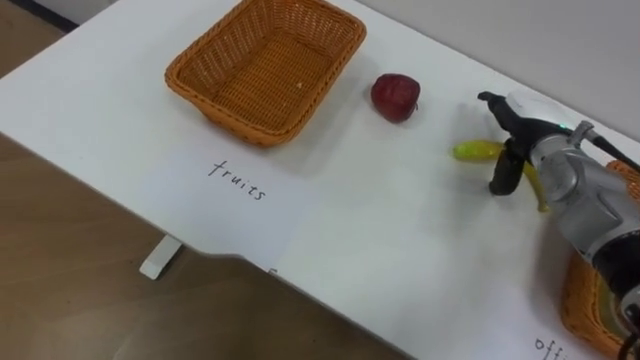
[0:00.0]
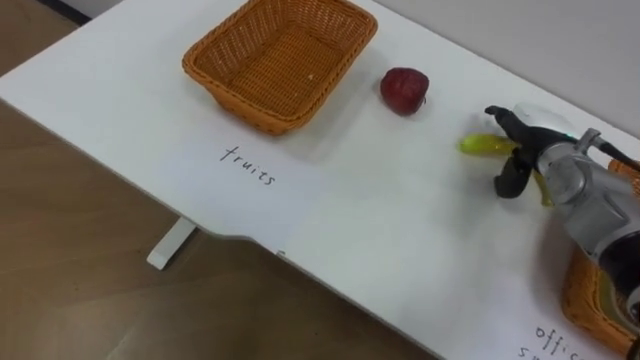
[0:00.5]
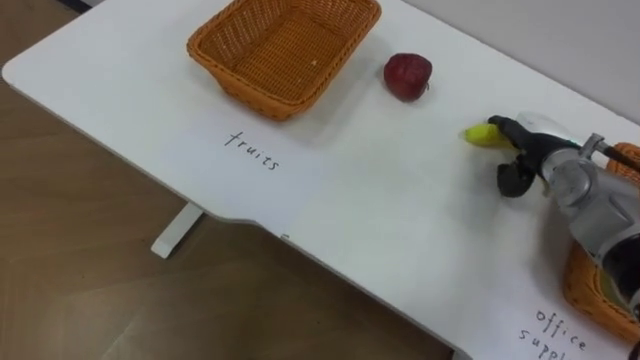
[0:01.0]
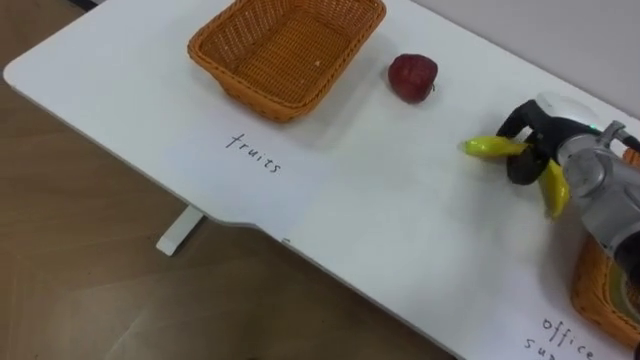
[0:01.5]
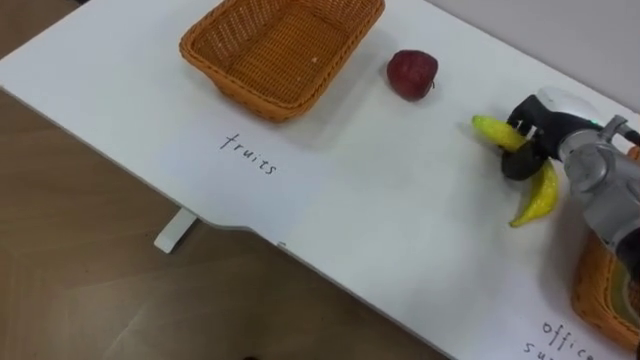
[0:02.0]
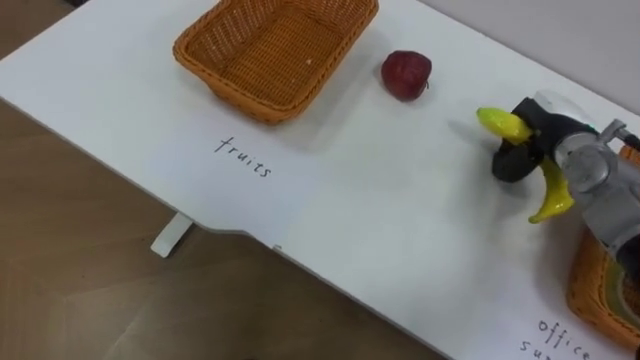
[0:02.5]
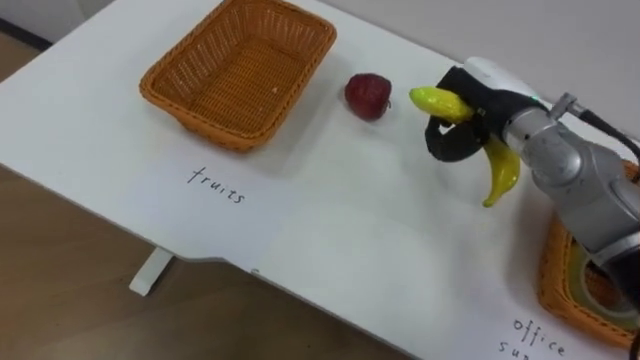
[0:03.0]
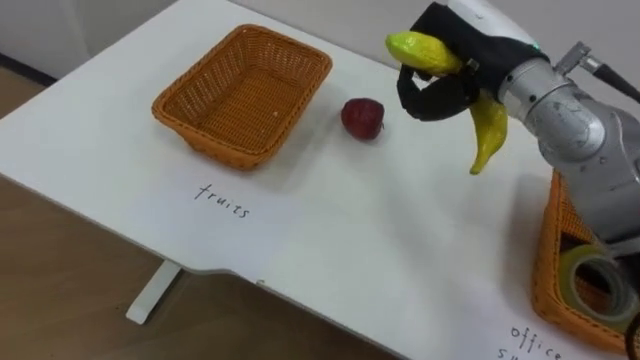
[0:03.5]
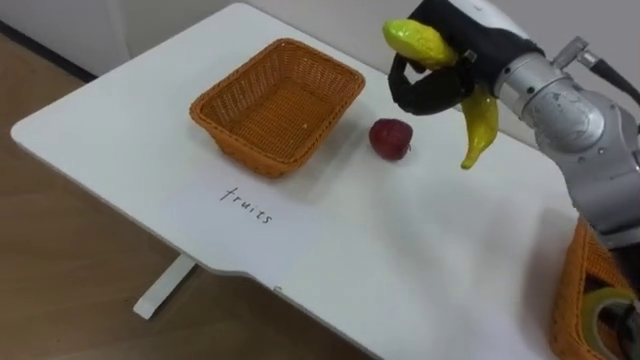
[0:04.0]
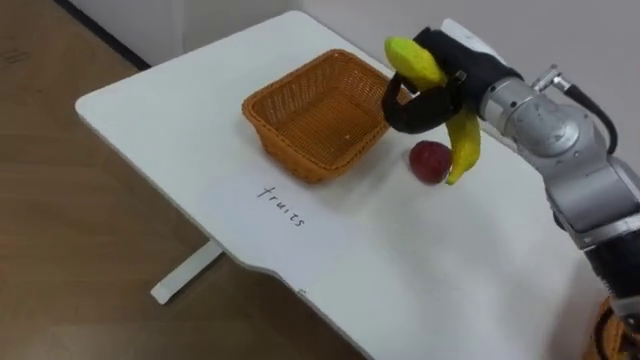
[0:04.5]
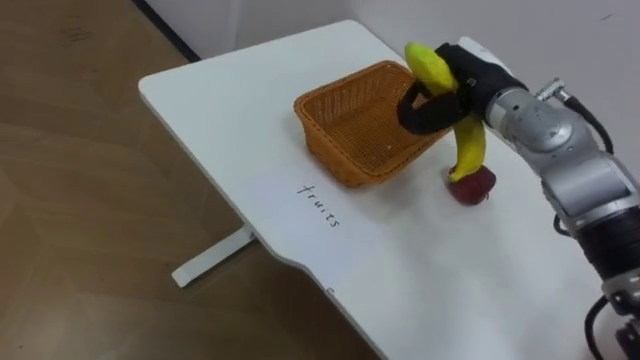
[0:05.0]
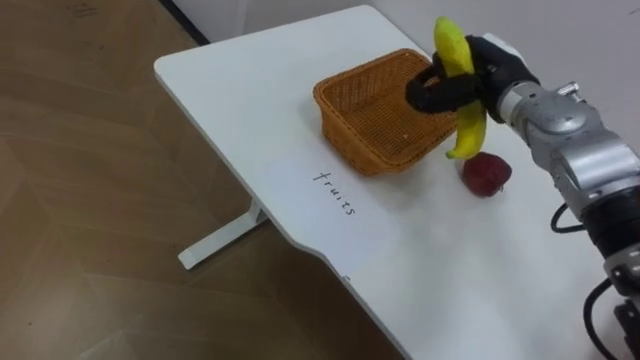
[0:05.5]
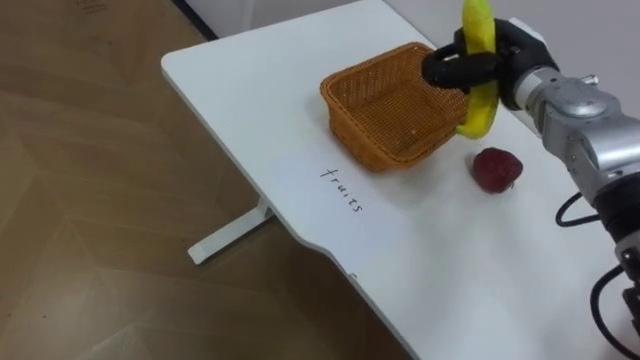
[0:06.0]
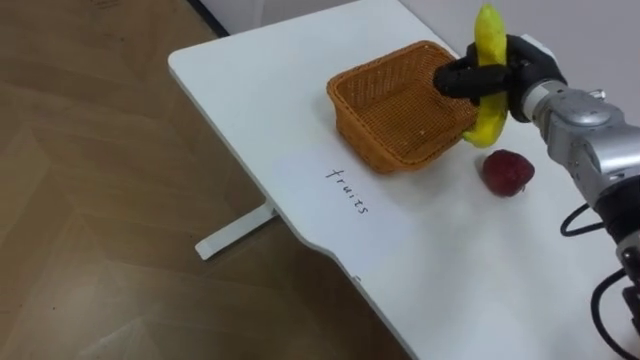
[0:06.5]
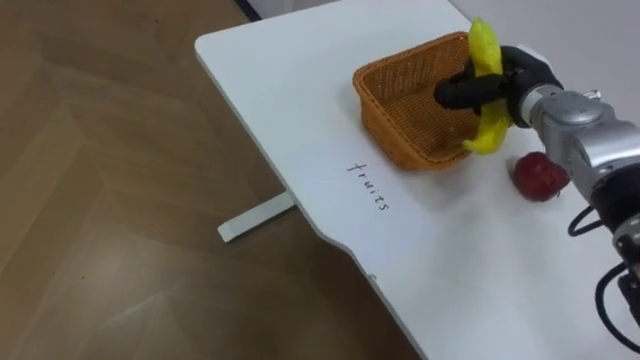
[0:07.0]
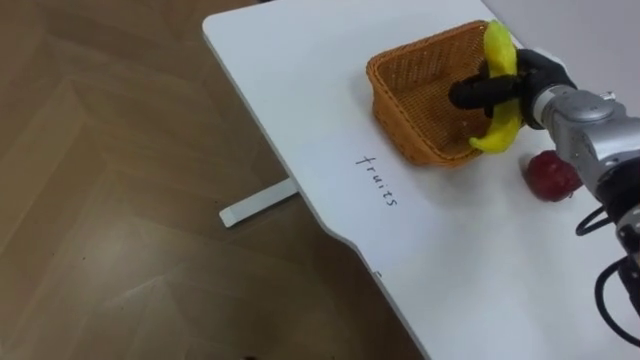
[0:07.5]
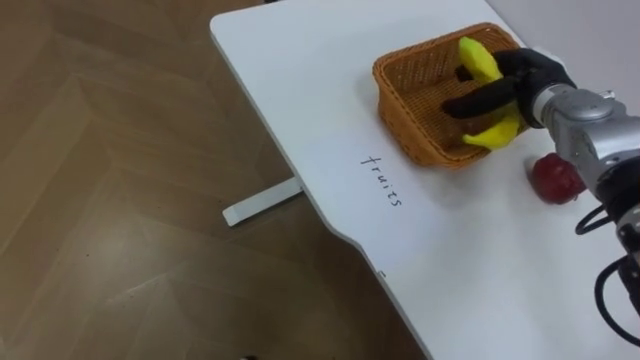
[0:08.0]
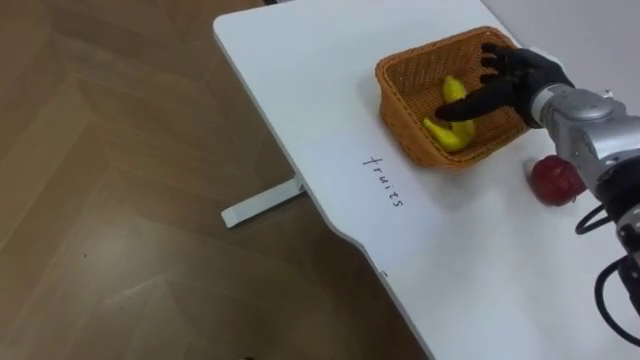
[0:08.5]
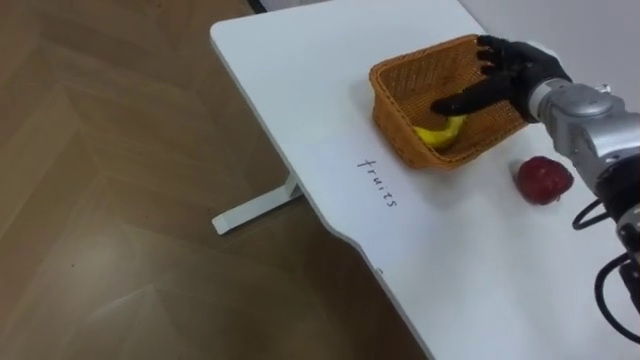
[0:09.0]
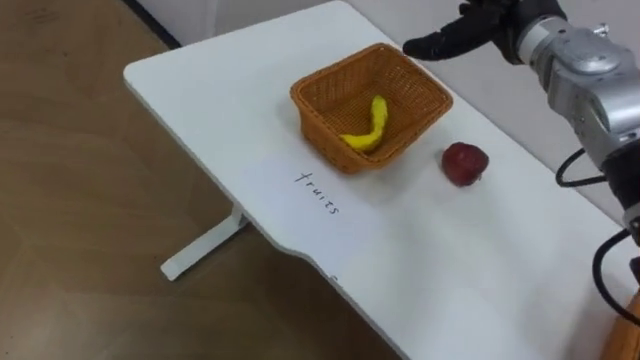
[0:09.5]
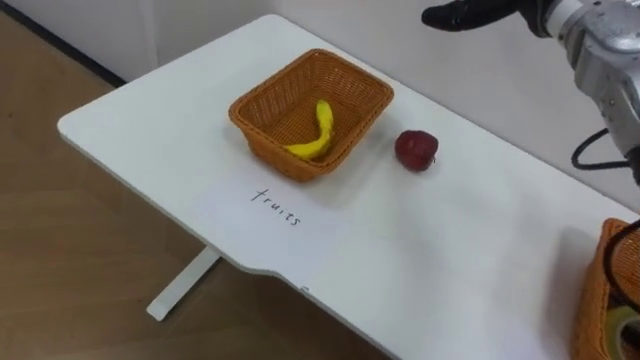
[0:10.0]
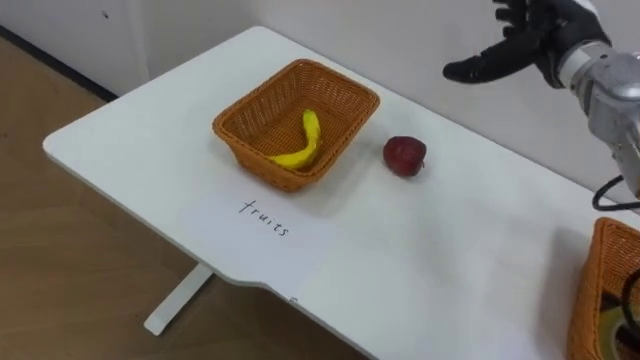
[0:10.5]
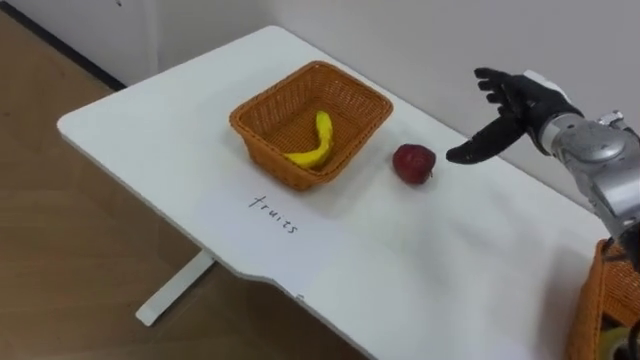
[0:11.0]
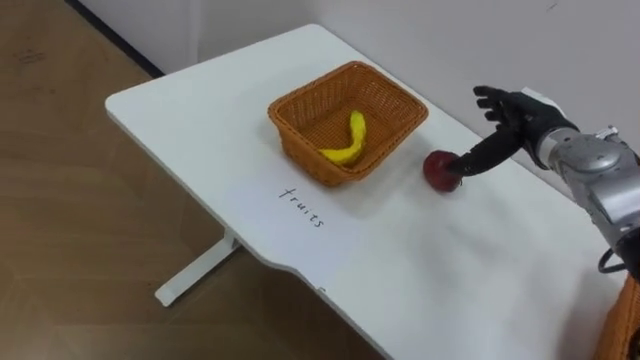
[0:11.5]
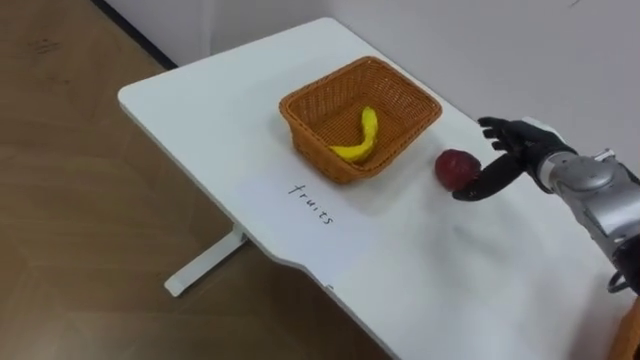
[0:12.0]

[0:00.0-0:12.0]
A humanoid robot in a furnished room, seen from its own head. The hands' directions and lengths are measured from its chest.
Task of the whole recording: Separate the items on the table and place them into the two baskets.
0:00.0 to 0:02.0: The right hand closes.
0:02.0 to 0:04.0: The right hand shifts approximately 20 cm to the left and upward.
0:04.0 to 0:06.0: The right hand moves downward, to the right and forward, approximately 10 cm.
0:06.0 to 0:08.0: The right hand changes place by about 5 cm, and opens its fingers.

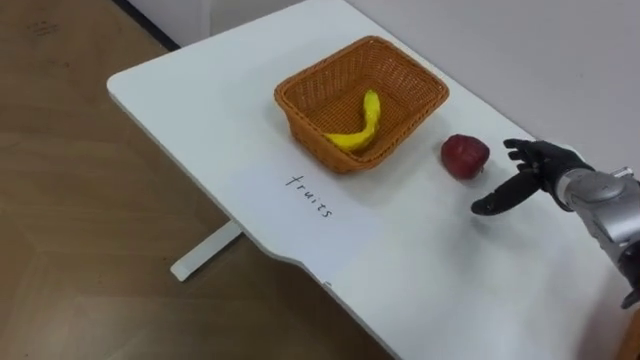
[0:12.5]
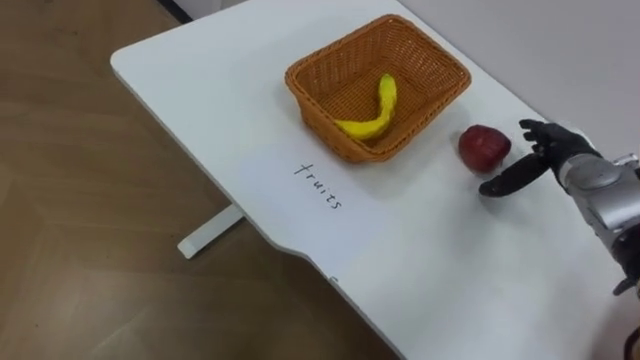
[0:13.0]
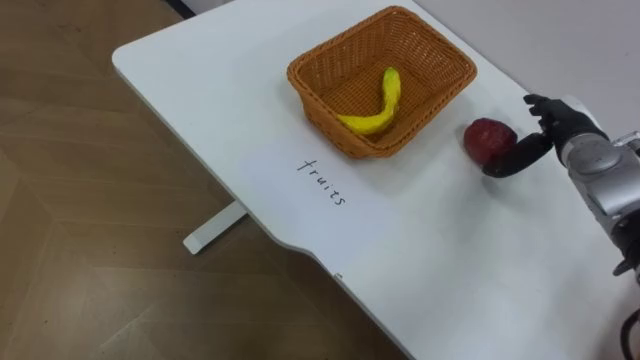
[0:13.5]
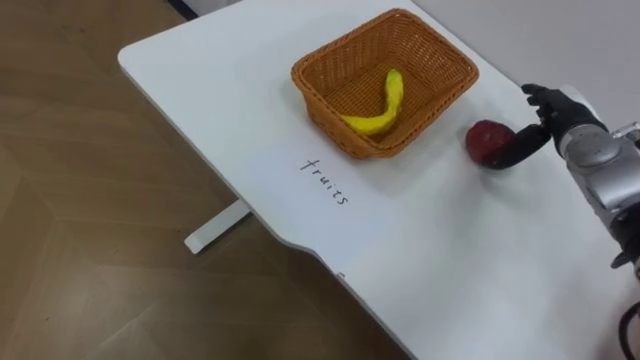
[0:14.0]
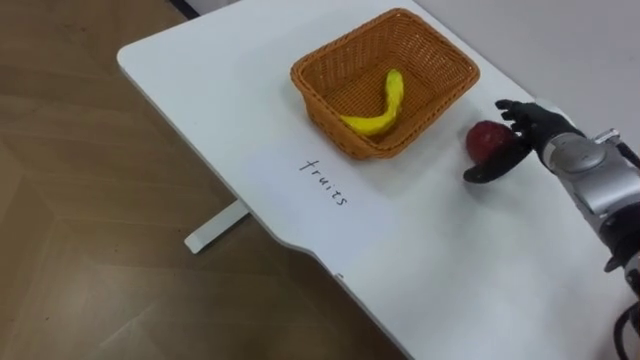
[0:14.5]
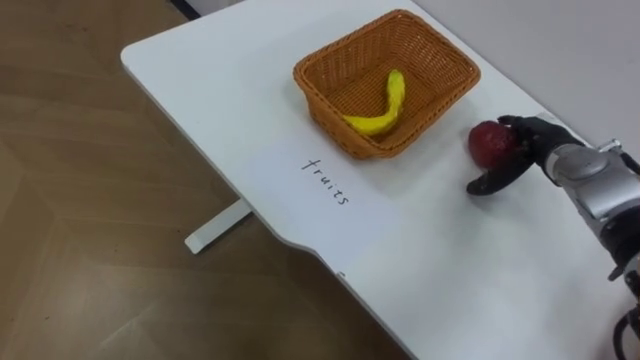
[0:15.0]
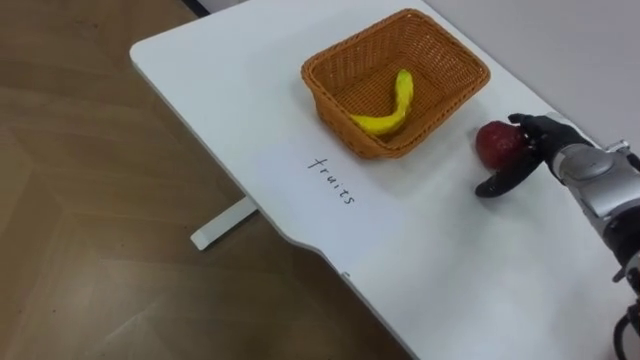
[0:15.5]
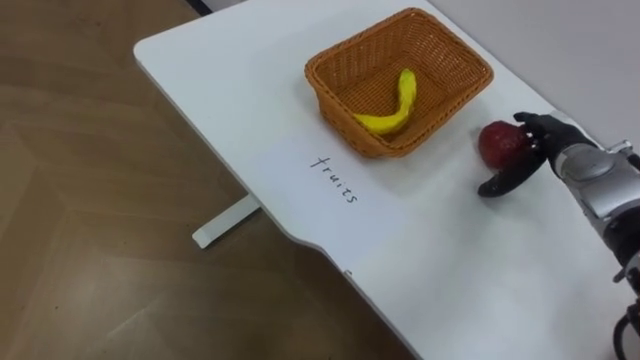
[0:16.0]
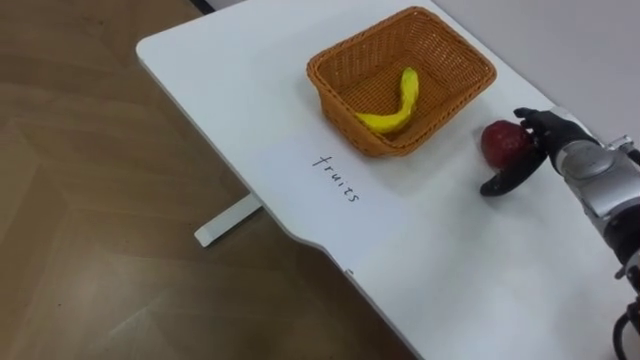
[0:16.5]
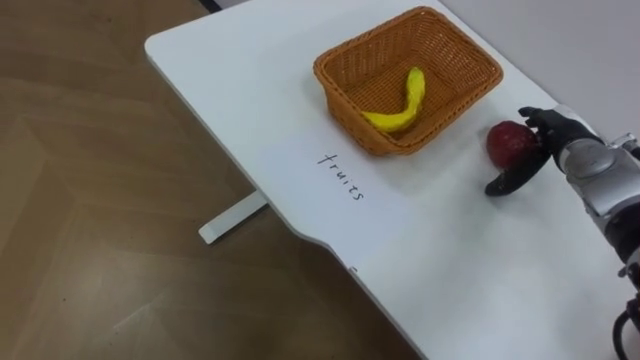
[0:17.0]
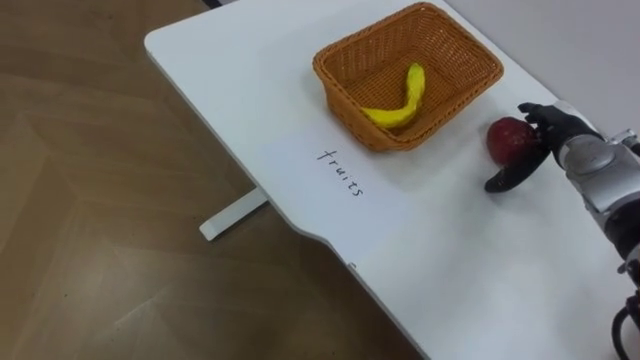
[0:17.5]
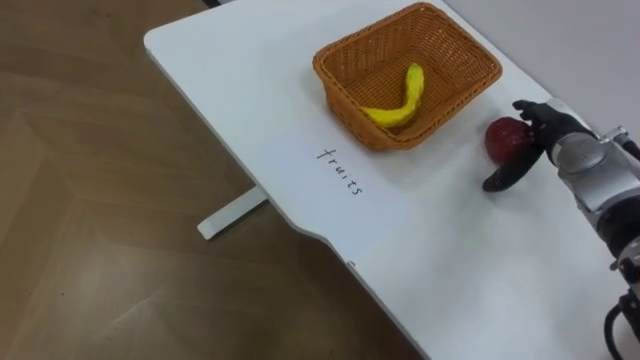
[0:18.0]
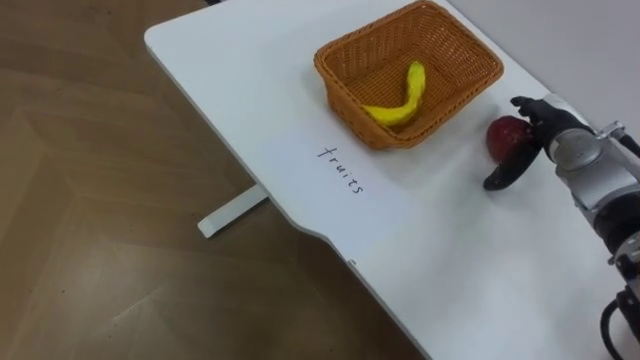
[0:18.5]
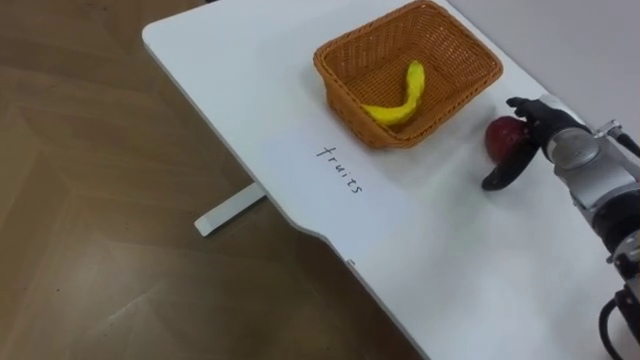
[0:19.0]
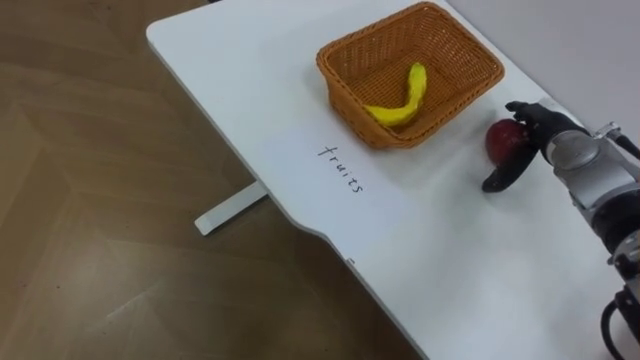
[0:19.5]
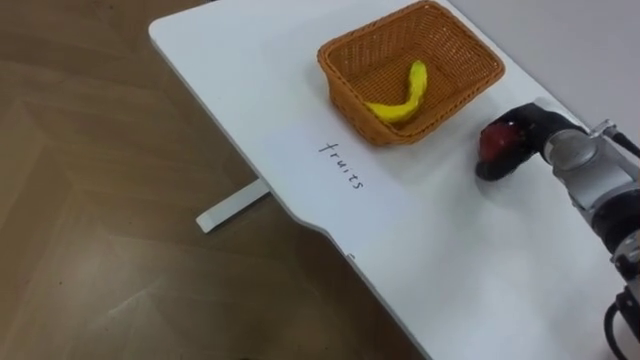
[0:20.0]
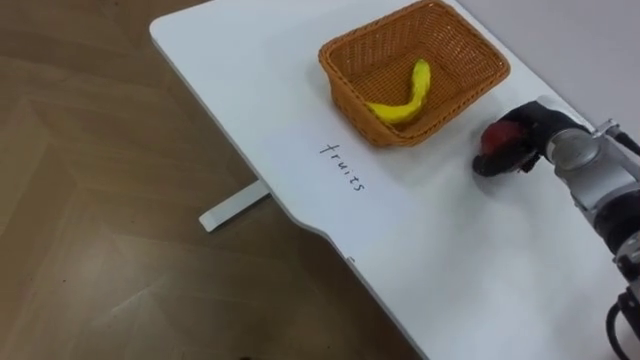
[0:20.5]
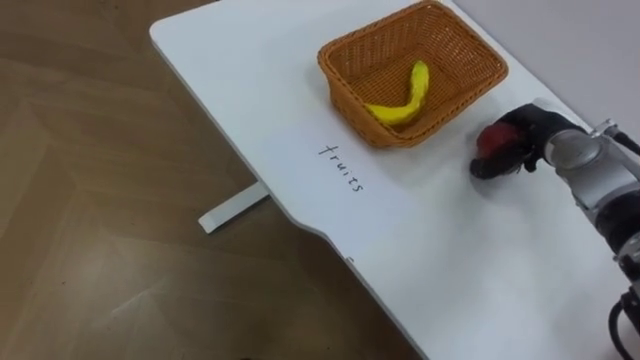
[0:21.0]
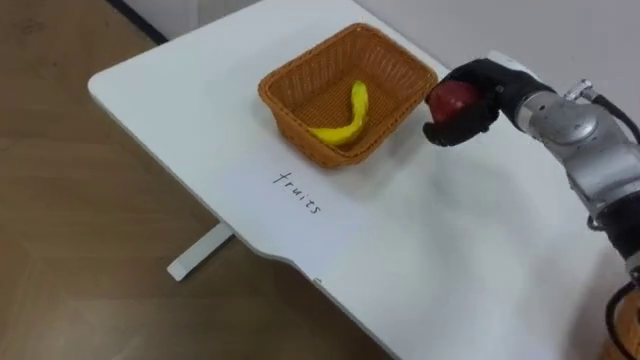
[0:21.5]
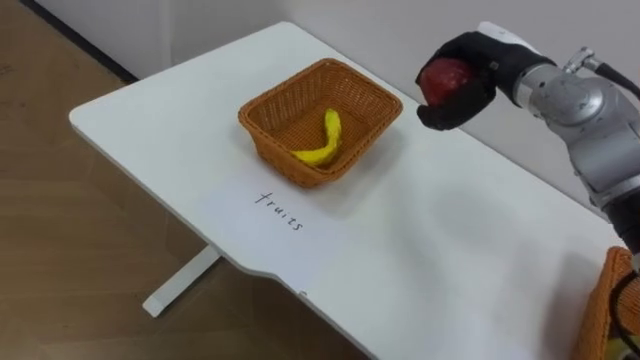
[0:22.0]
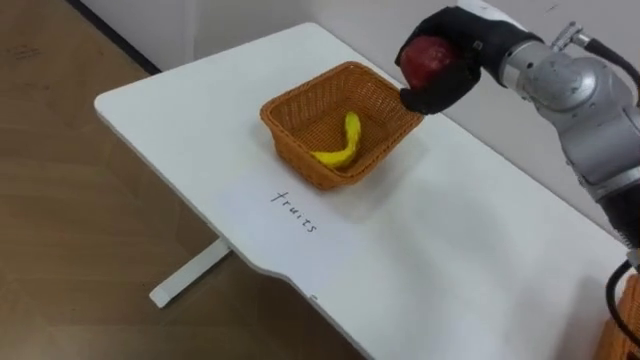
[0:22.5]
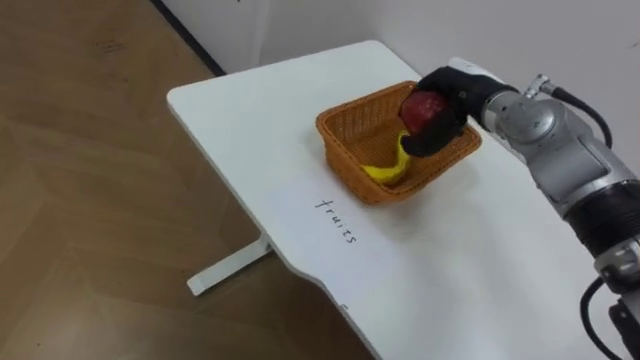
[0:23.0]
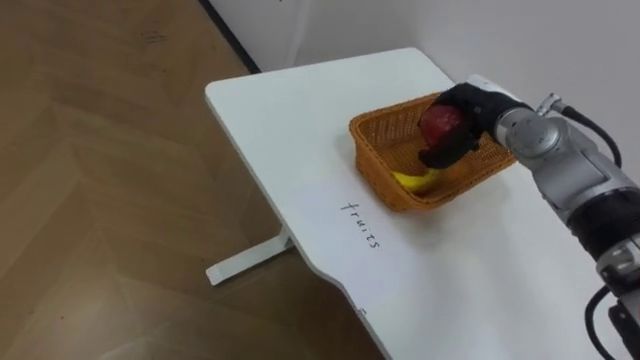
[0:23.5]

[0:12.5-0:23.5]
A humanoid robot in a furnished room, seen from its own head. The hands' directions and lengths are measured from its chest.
Task of the whole recording: Separate the items on the table and place them into the two baskets.
0:12.5 to 0:14.5: The right hand changes place by approximately 5 cm.
0:18.0 to 0:20.0: The right hand closes up.
0:20.0 to 0:21.5: The right hand moves to the left and upward, approximately 10 cm.
0:21.5 to 0:23.5: The right hand moves about 5 cm upward and comes back.
